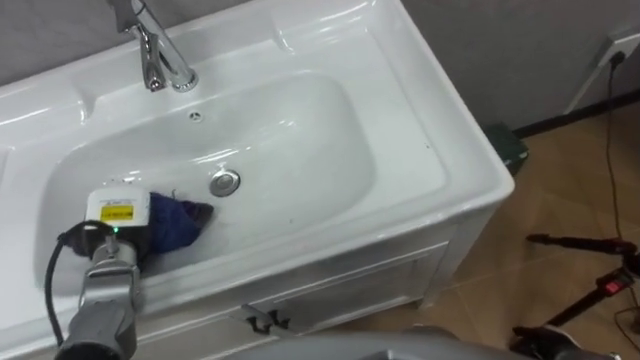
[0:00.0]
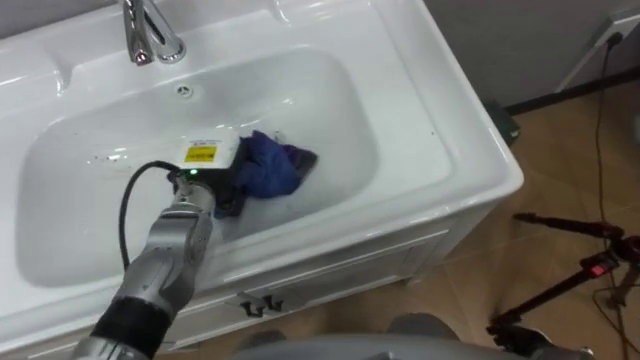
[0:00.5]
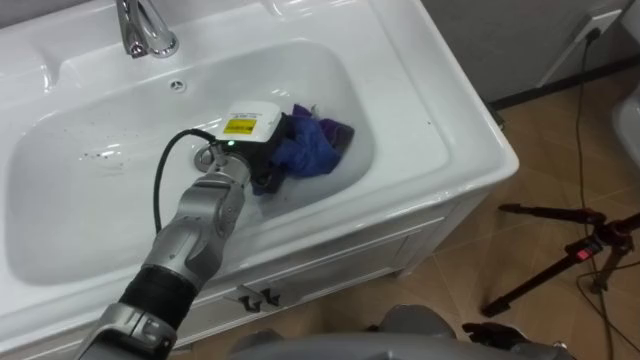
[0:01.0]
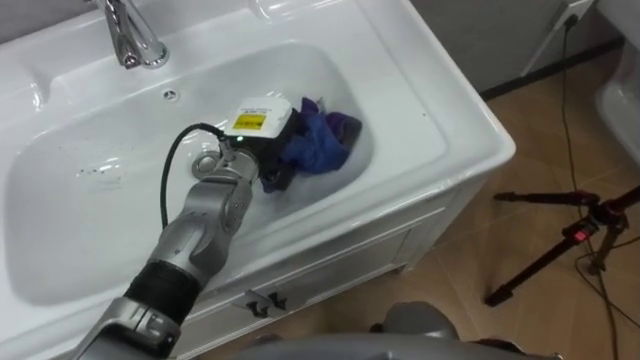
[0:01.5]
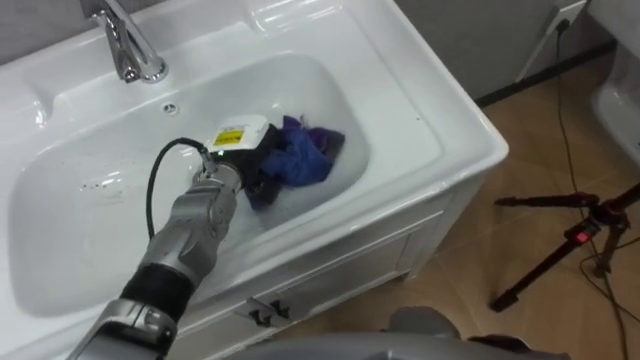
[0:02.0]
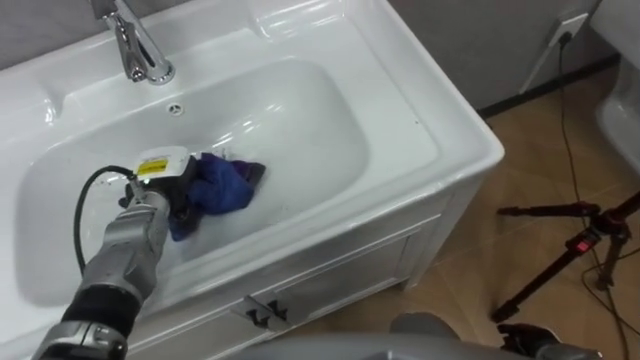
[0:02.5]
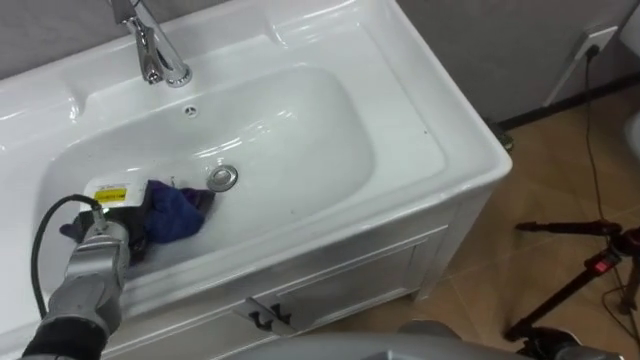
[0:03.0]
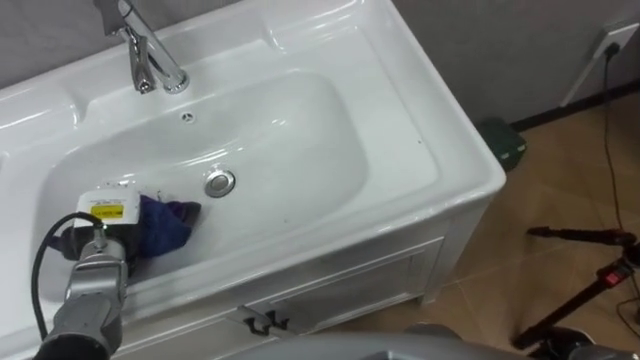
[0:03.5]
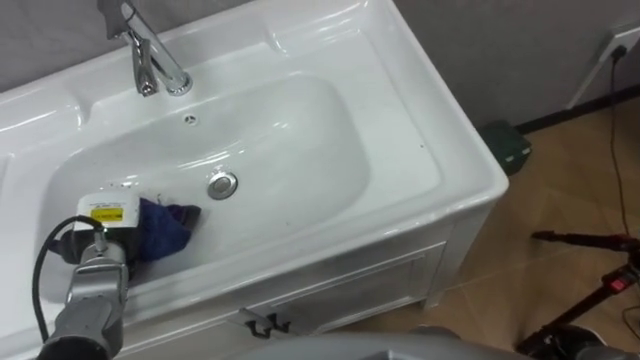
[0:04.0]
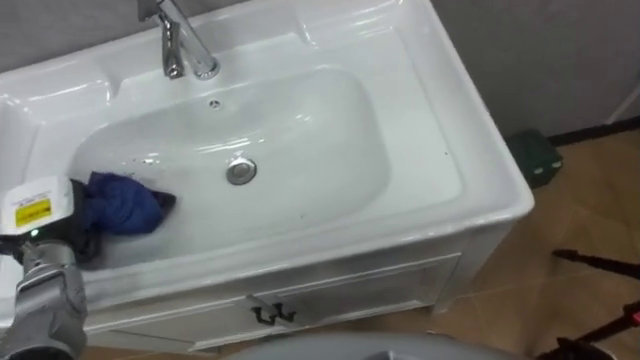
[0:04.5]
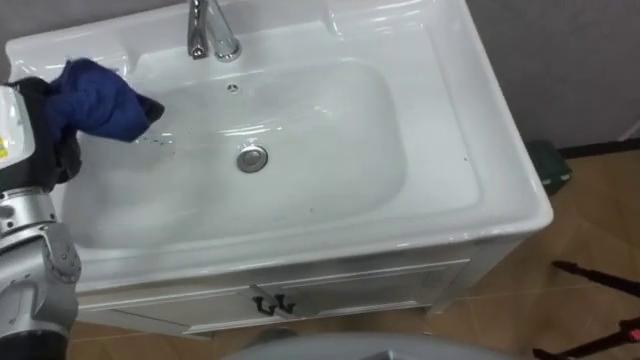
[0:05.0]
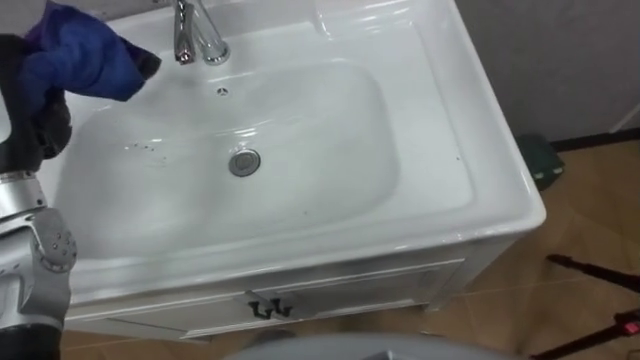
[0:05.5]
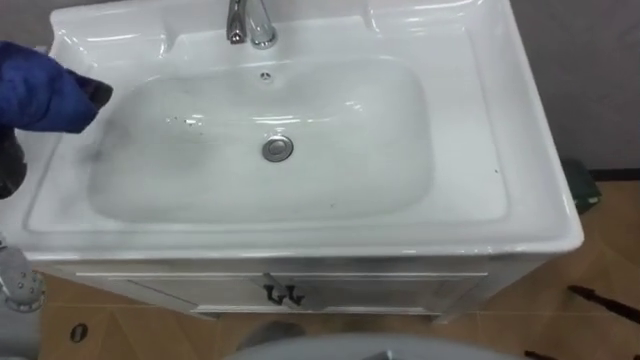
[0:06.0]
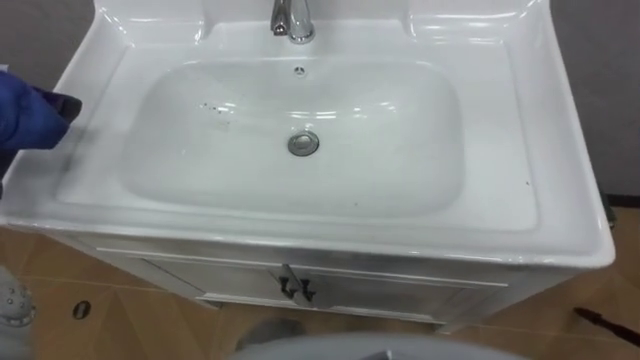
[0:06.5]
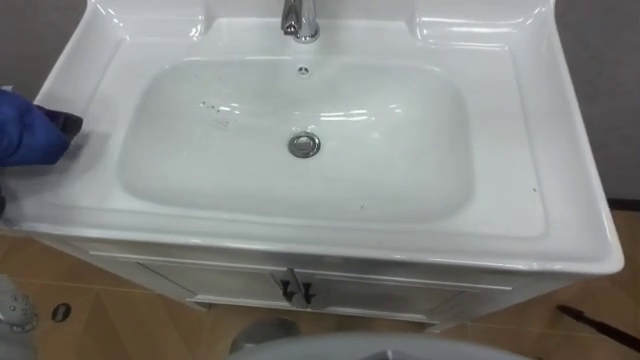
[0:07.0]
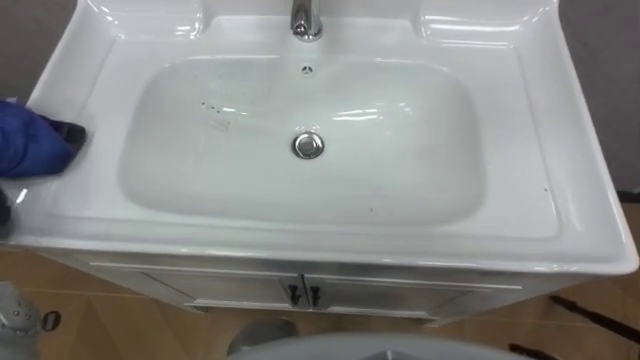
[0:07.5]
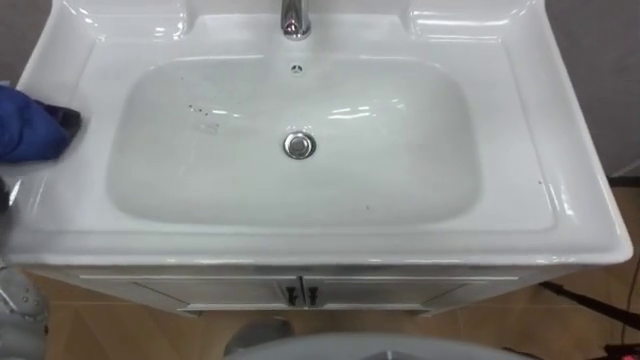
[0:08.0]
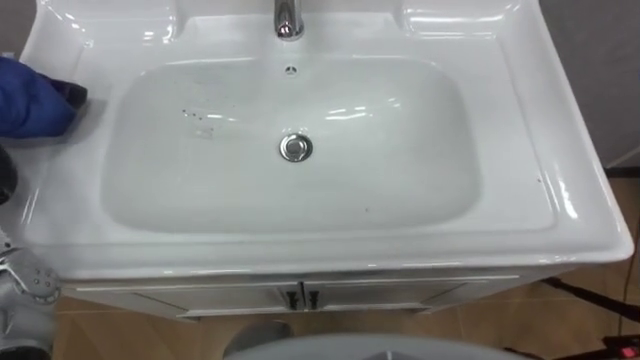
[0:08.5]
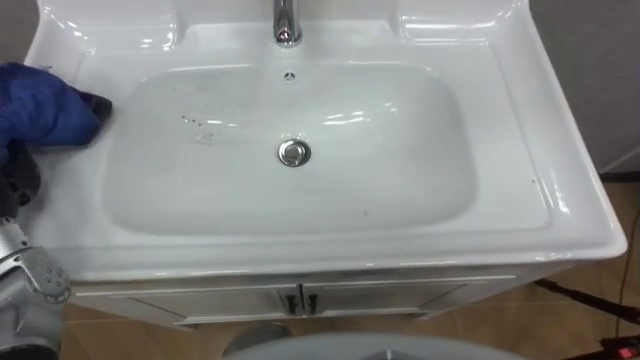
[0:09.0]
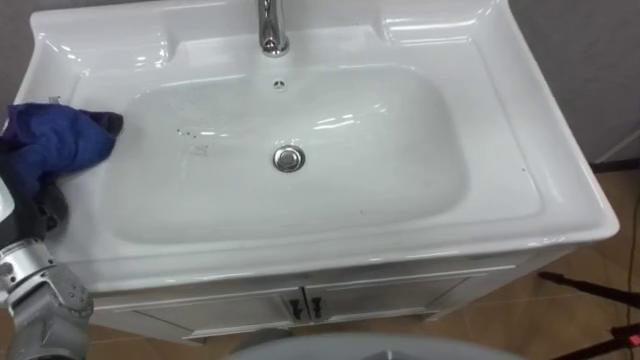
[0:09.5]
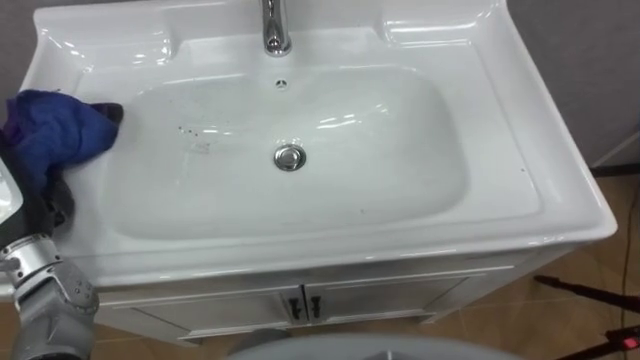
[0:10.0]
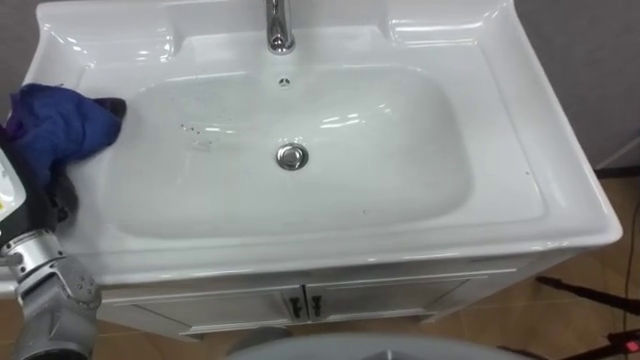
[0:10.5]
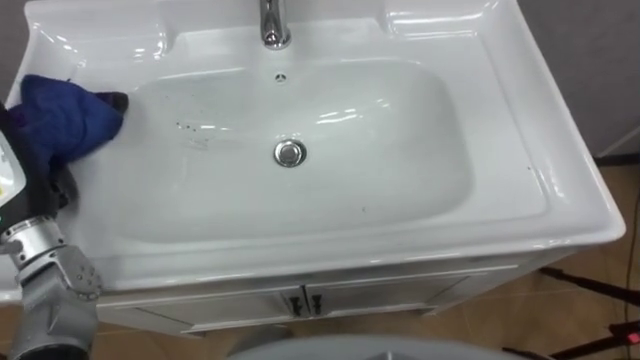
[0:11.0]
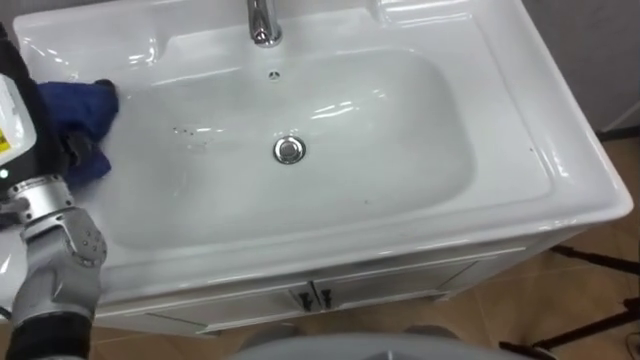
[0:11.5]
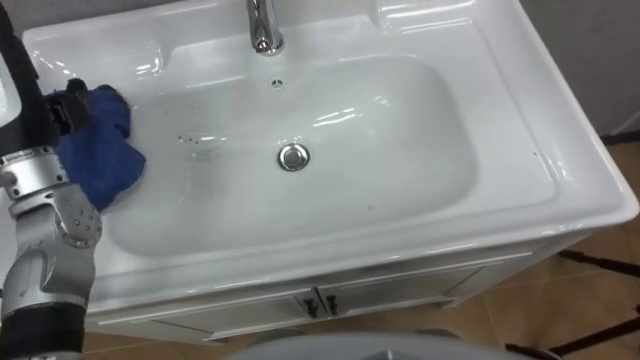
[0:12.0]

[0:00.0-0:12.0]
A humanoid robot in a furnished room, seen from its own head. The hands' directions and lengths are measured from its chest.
Task of the whole recording: Use the cloth on the right to wipe away the black stain in the sink.
0:00.0 to 0:02.0: The left hand moves to the right and forward, approximately 20 cm.
0:02.0 to 0:04.0: The left hand shifts roughly 20 cm to the left and backward.

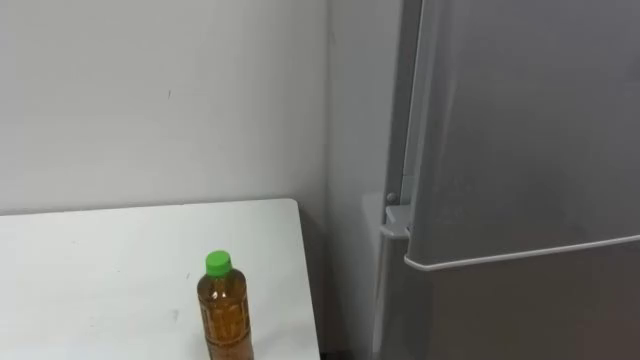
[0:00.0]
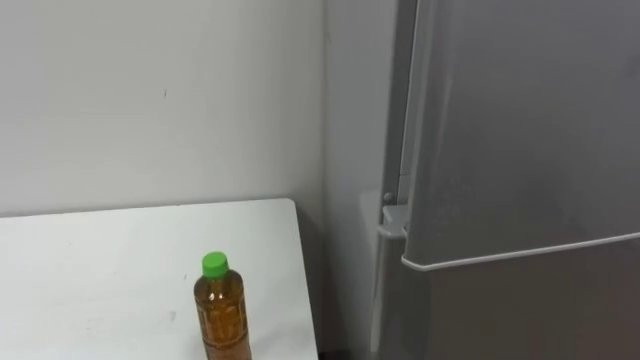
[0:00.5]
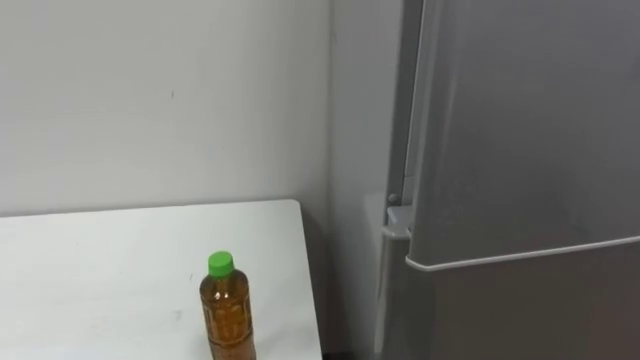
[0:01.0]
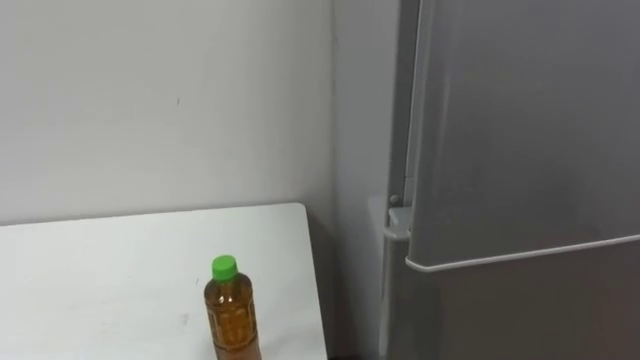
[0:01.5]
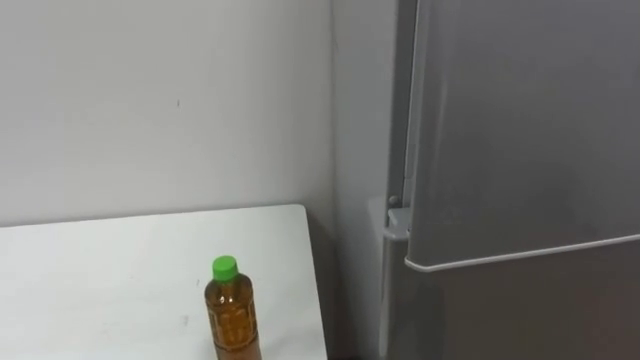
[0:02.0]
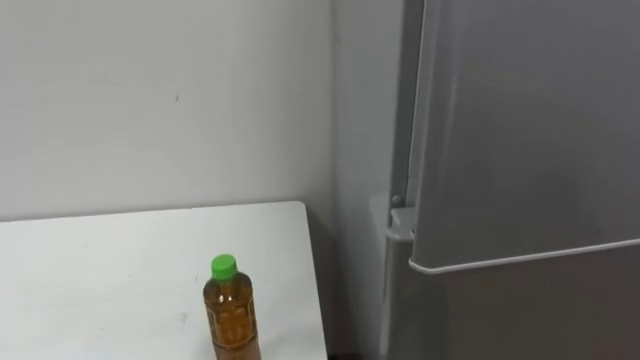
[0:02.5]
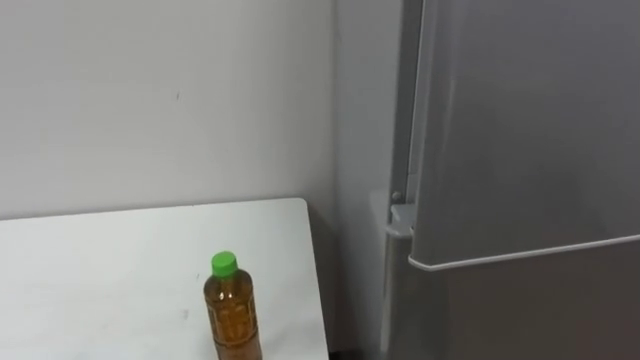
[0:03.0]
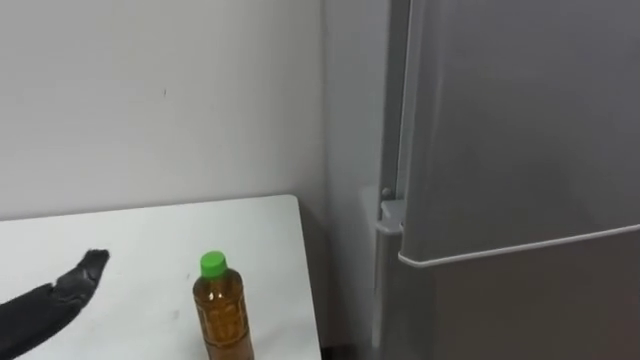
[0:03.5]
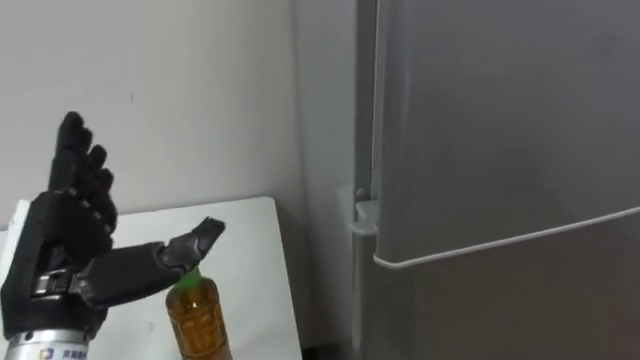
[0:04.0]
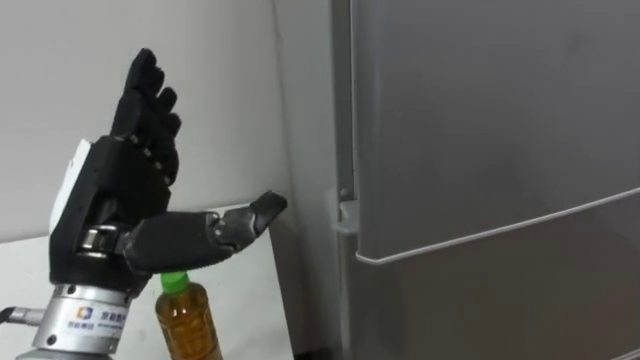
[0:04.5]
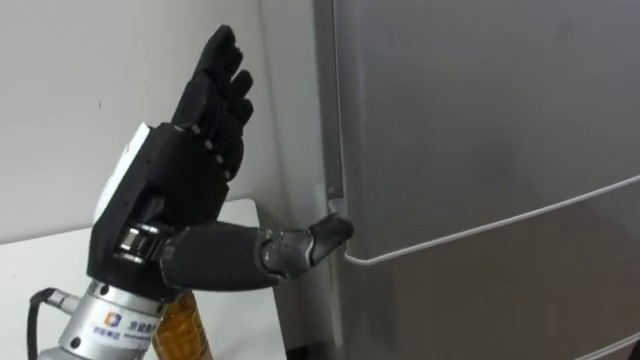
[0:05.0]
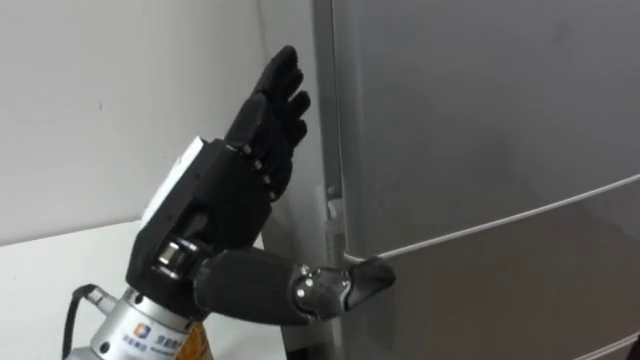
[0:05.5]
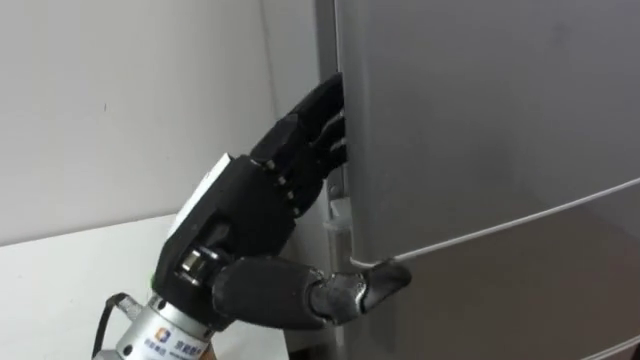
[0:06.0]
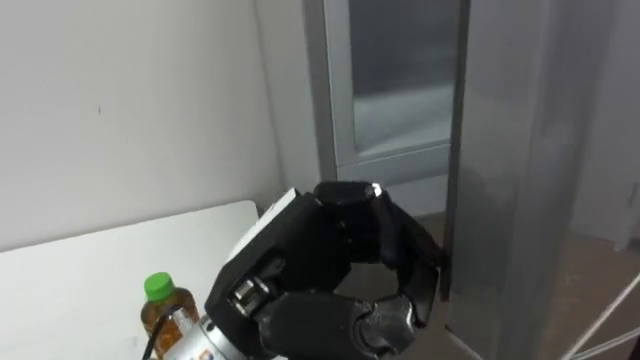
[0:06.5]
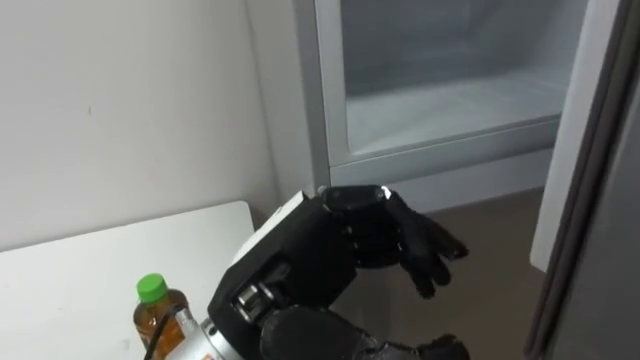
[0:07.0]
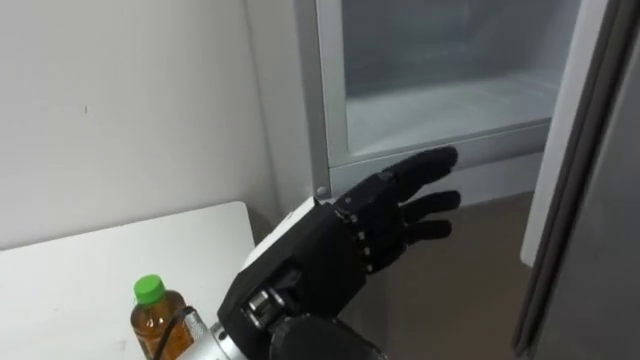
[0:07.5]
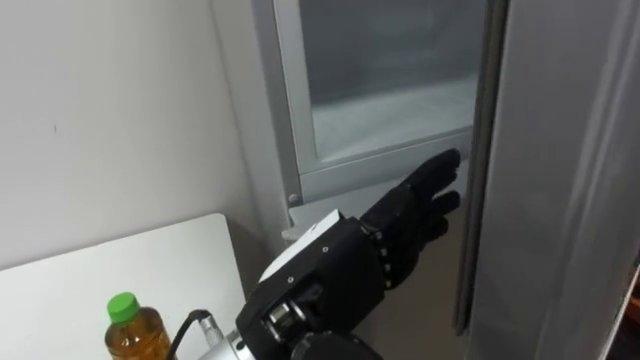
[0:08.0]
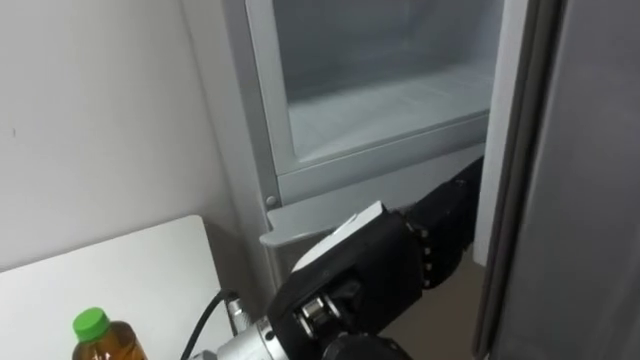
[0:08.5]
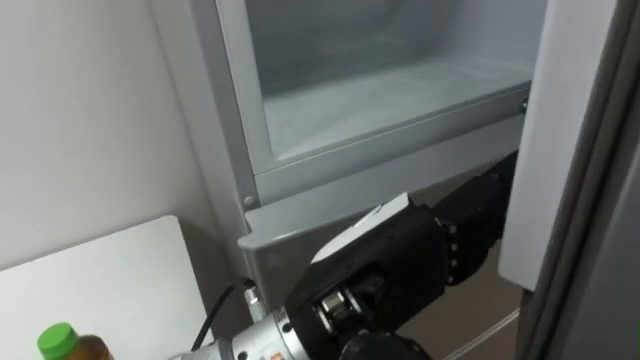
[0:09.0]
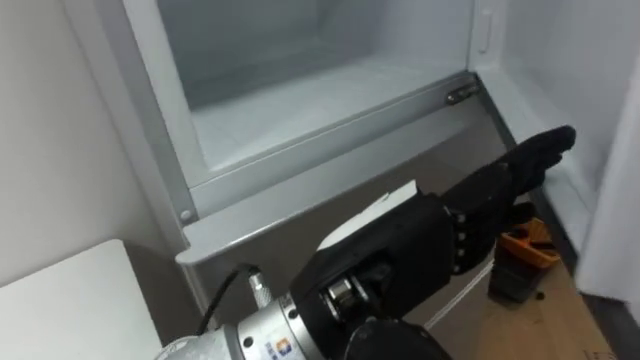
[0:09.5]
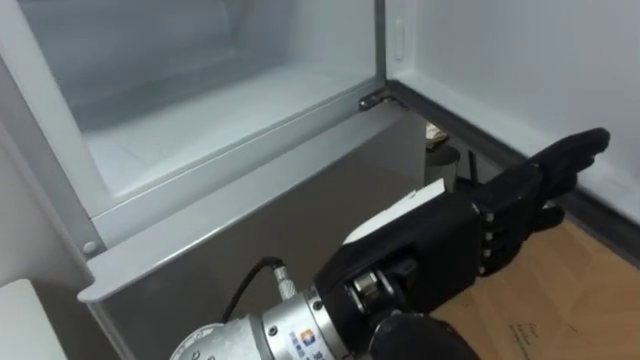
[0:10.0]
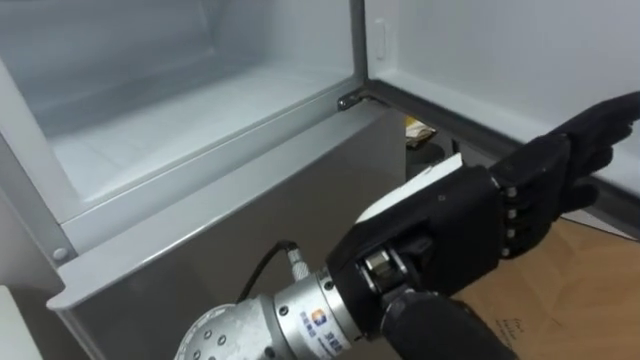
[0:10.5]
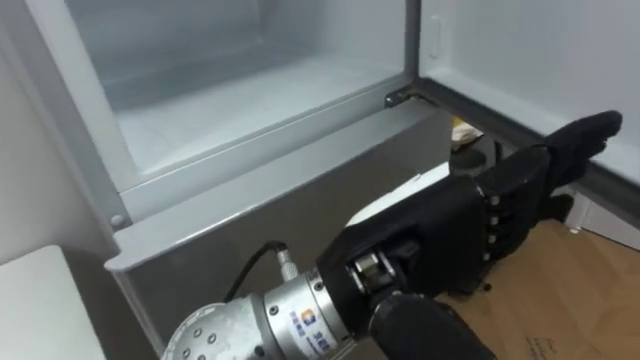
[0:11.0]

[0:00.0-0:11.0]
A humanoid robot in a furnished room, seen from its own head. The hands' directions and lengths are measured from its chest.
Task of the whole recording: Open the upper refrigerator door, put the drink from the table into the refrigerator, and then close the refrigerator door.
0:05.5 to 0:07.5: The left hand shifts approximately 5 cm to the right, and closes, then reopens.
0:07.5 to 0:09.0: The left hand heads to the right, covering some 5 cm.
